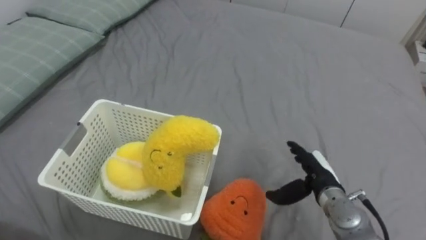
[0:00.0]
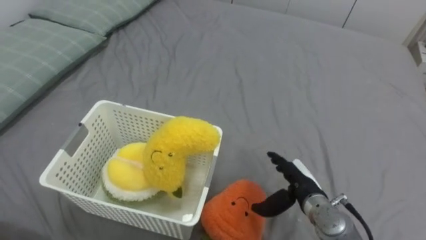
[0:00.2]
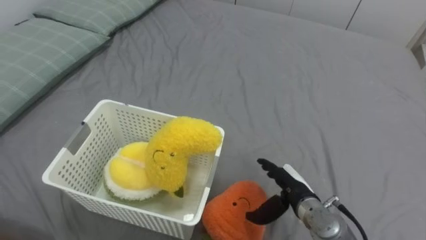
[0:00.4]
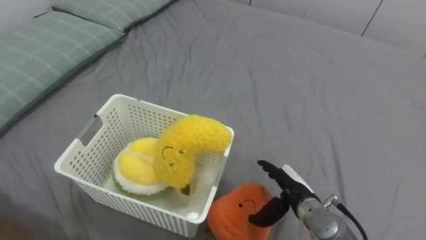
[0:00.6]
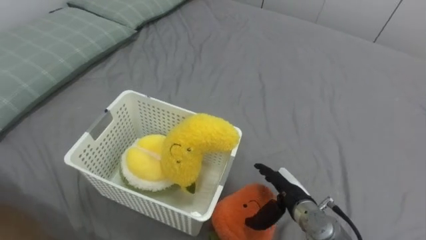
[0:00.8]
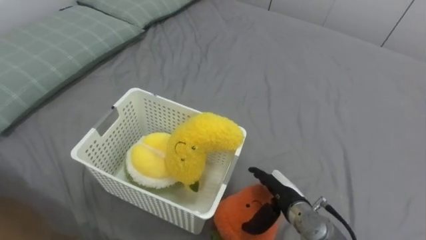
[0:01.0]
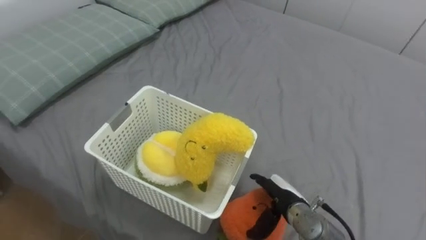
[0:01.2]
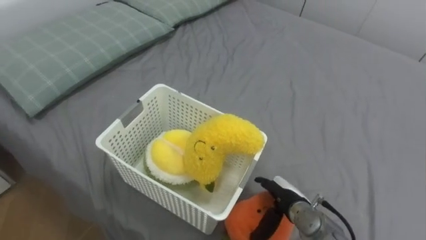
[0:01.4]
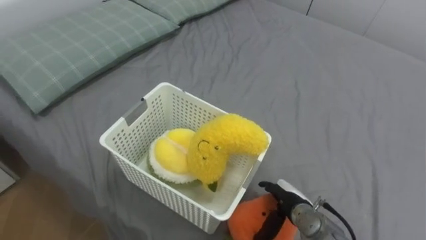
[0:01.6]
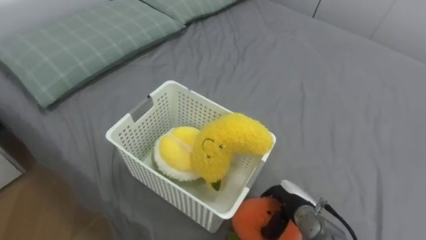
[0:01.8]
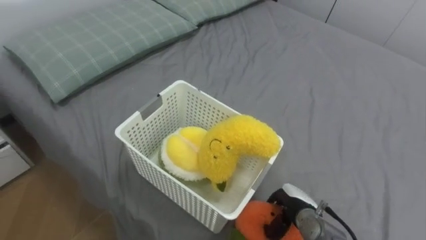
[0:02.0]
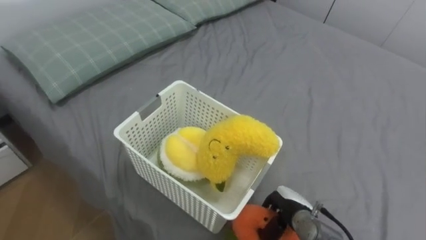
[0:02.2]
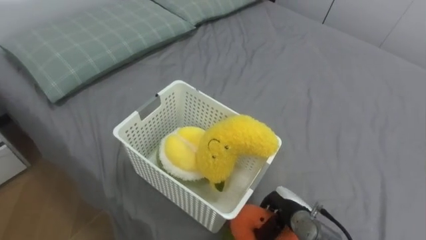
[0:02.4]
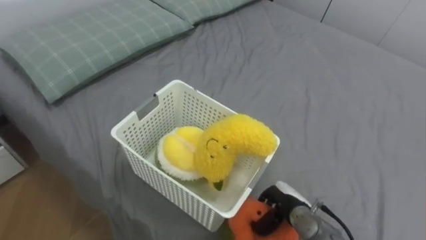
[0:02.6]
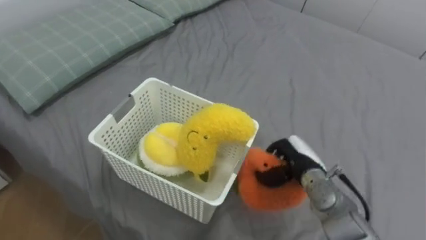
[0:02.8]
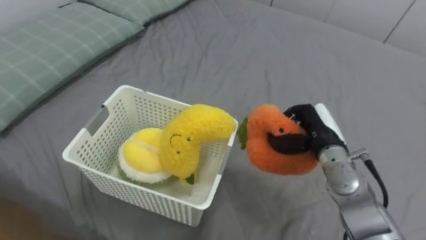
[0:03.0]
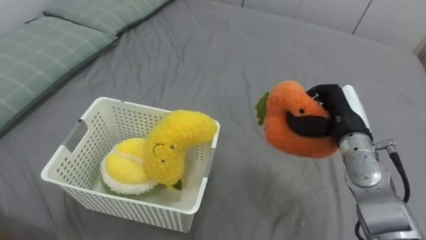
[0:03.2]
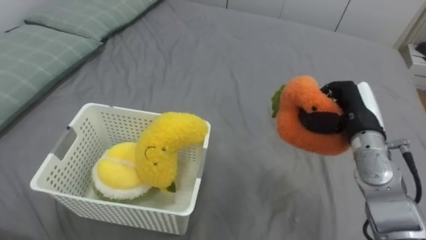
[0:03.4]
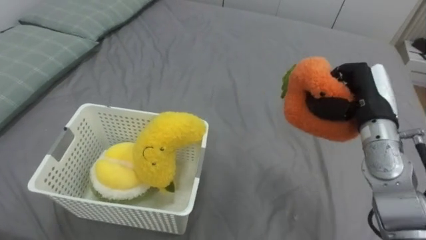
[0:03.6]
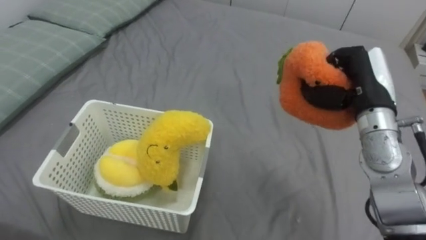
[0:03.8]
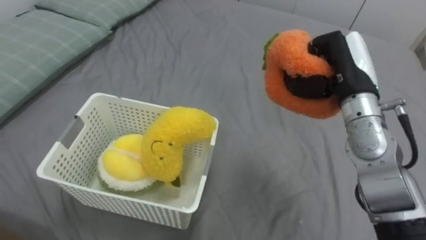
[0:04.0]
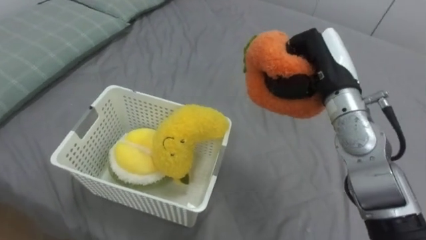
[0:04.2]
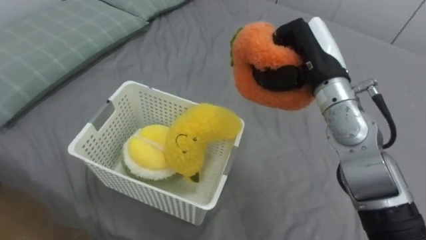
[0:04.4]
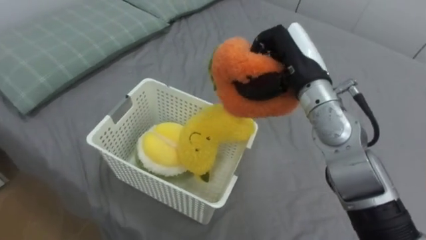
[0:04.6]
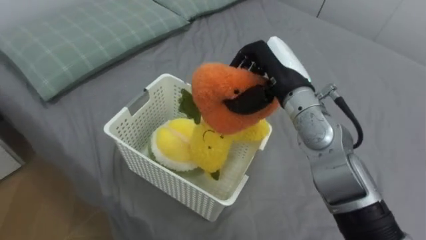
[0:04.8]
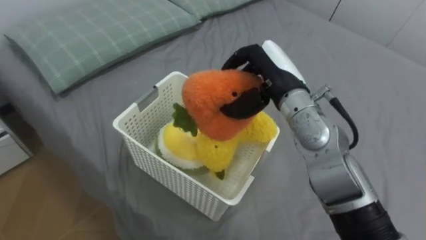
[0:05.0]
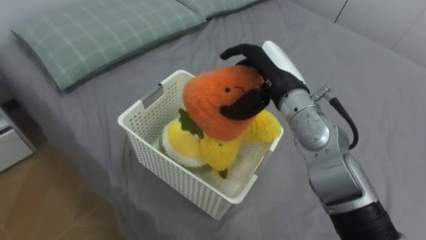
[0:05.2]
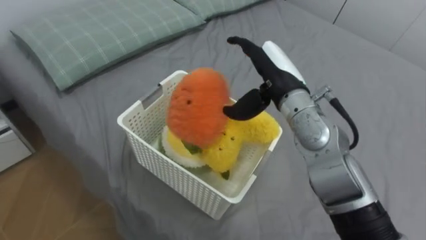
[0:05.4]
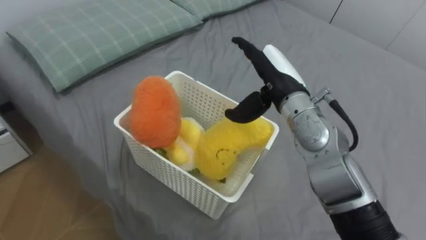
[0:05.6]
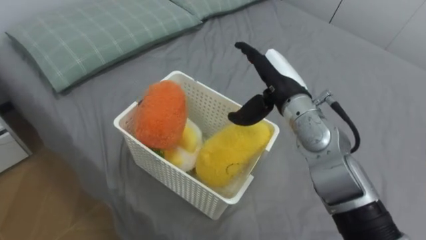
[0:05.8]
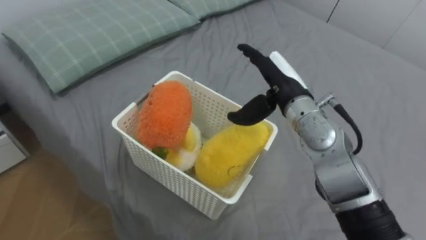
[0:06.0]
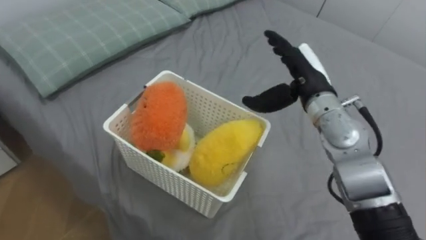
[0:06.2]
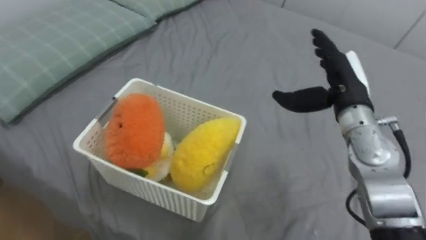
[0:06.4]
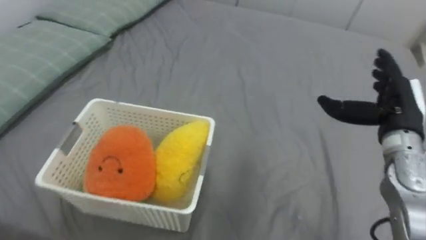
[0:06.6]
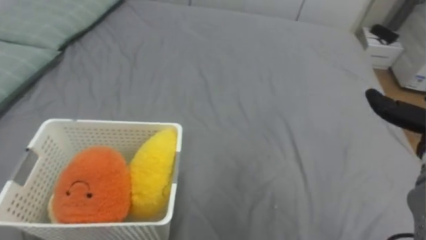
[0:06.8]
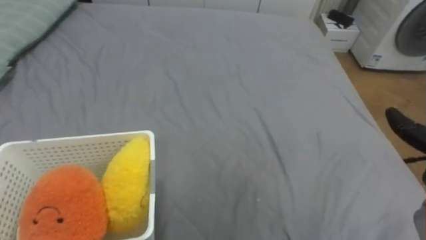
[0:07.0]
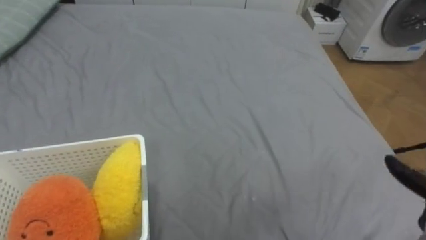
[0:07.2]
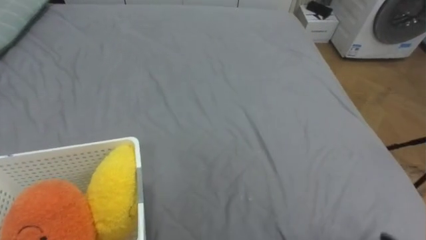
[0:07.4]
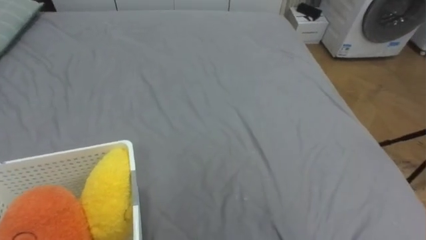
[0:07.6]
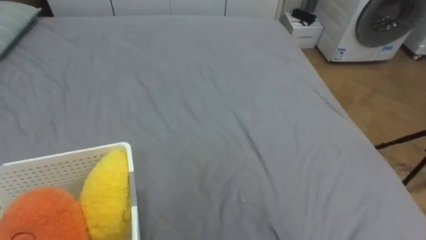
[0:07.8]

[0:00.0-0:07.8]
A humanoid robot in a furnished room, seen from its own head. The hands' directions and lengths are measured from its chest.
Task of the whole recording: Put the toys on the bed into the basket on the left.
0:00.0 to 0:01.6: The right hand heads downward and to the left, covering roughly 10 cm.
0:01.6 to 0:03.2: The right hand is displaced upward, forward and to the right by some 20 cm, and closes its fingers.
0:03.2 to 0:04.6: The right hand heads upward and to the left, covering some 15 cm.
0:04.6 to 0:06.2: The right hand opens up.

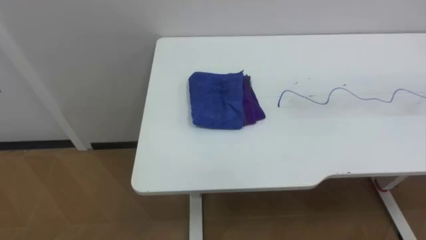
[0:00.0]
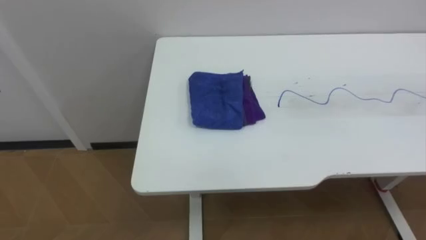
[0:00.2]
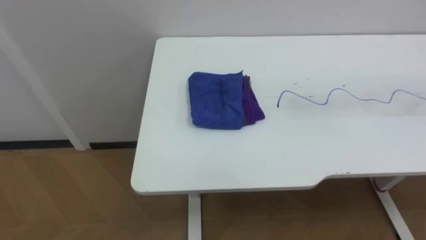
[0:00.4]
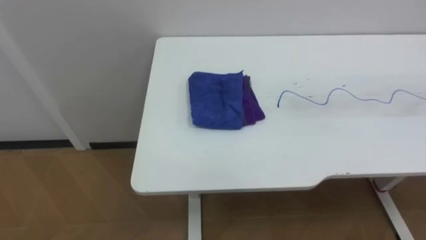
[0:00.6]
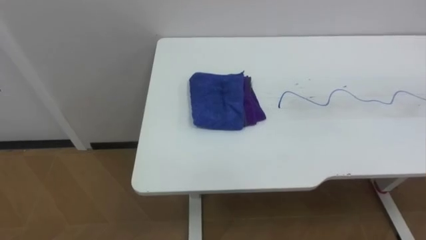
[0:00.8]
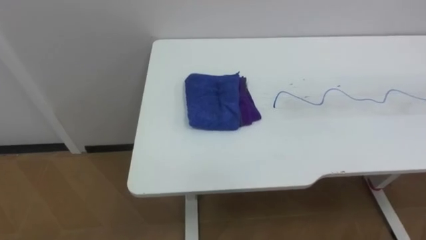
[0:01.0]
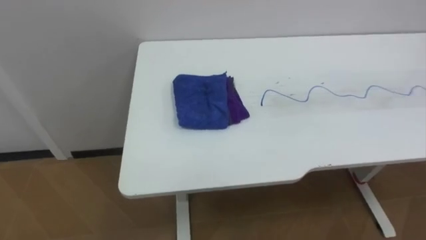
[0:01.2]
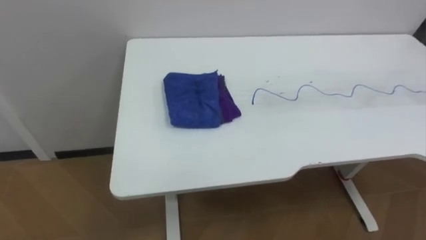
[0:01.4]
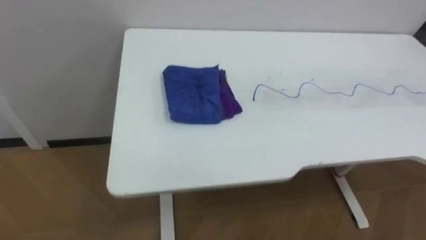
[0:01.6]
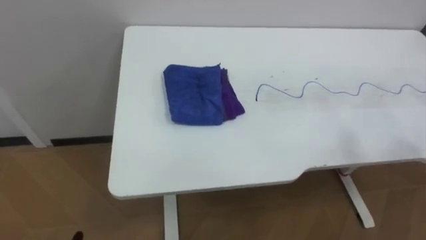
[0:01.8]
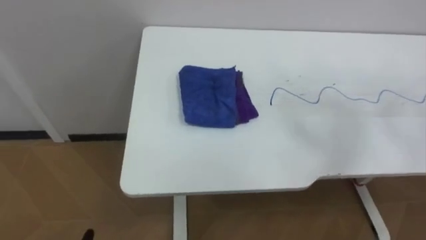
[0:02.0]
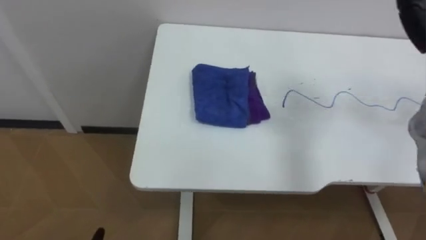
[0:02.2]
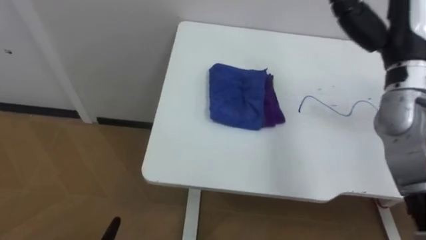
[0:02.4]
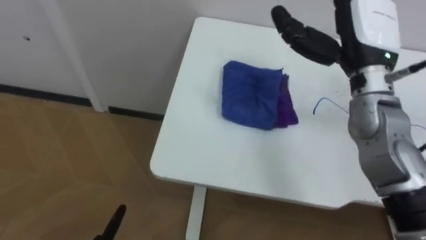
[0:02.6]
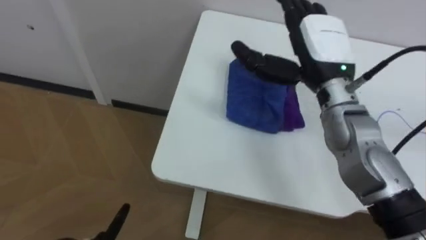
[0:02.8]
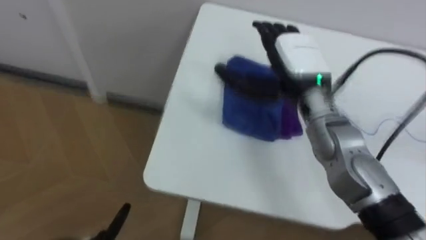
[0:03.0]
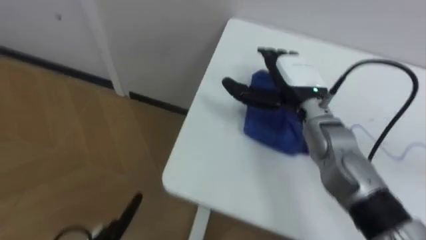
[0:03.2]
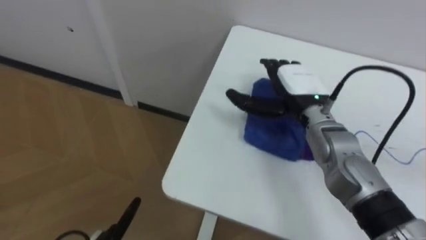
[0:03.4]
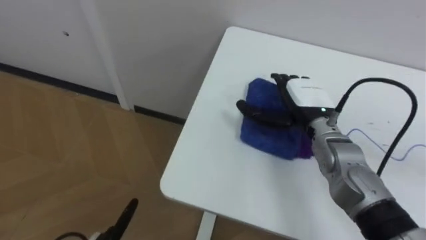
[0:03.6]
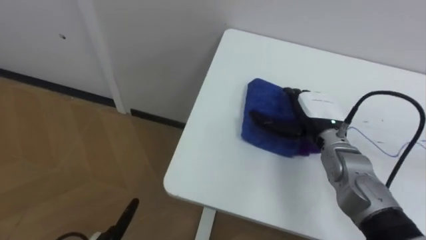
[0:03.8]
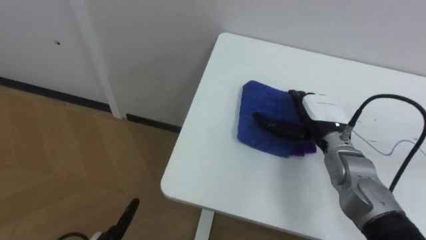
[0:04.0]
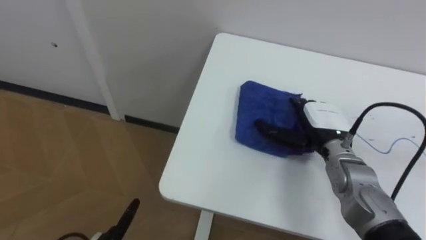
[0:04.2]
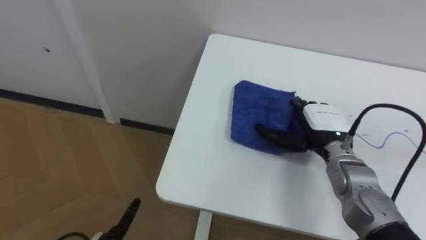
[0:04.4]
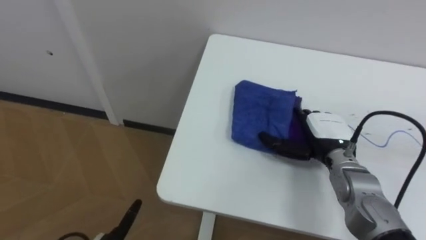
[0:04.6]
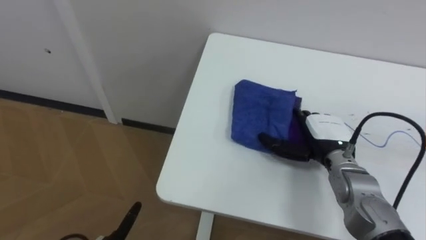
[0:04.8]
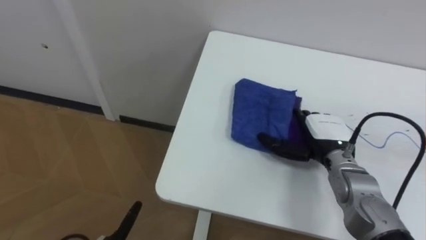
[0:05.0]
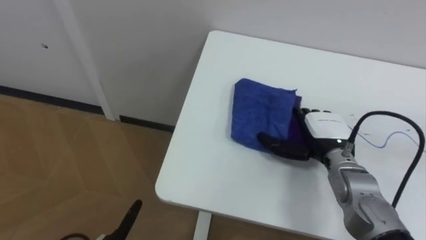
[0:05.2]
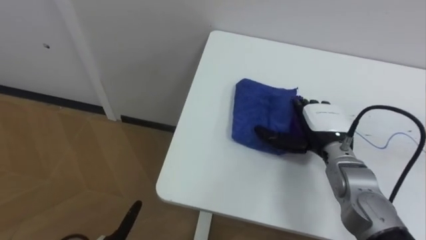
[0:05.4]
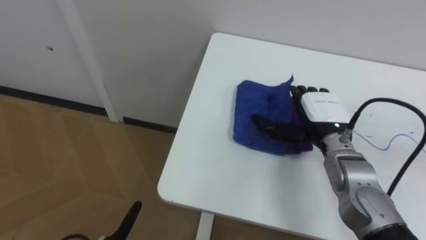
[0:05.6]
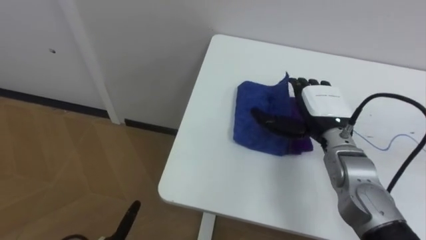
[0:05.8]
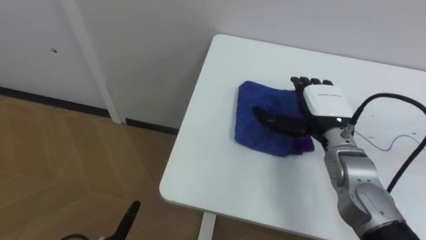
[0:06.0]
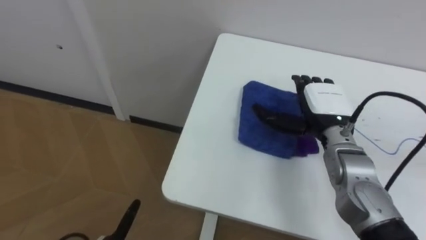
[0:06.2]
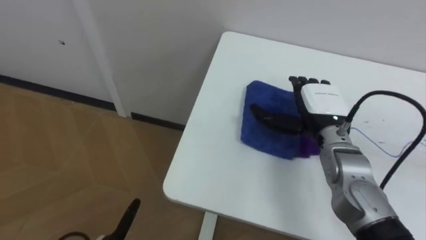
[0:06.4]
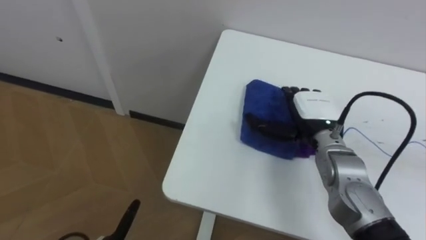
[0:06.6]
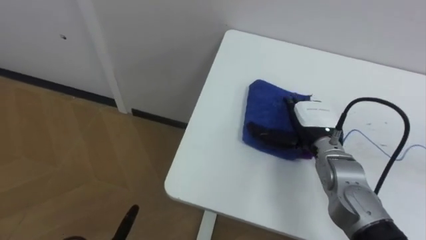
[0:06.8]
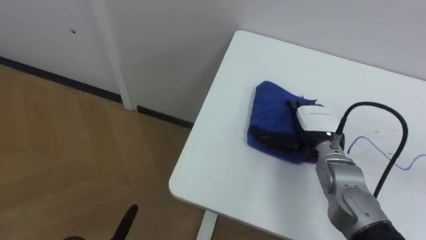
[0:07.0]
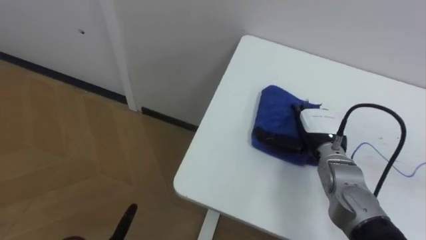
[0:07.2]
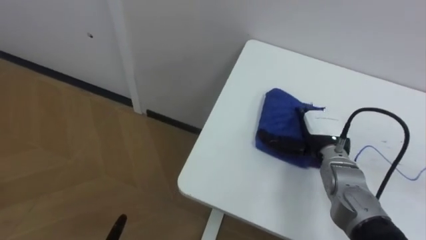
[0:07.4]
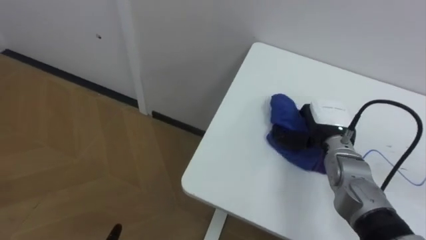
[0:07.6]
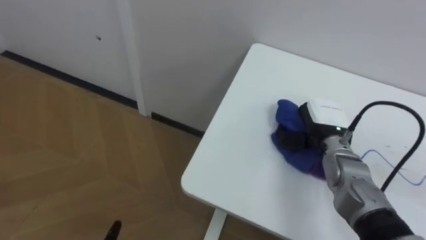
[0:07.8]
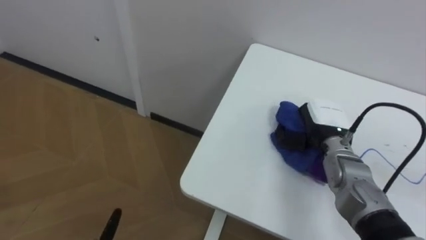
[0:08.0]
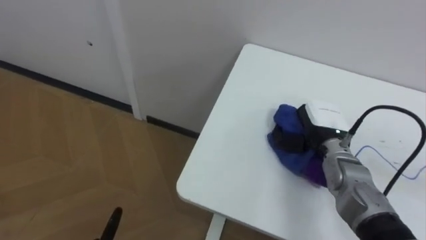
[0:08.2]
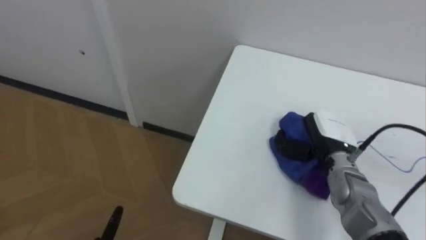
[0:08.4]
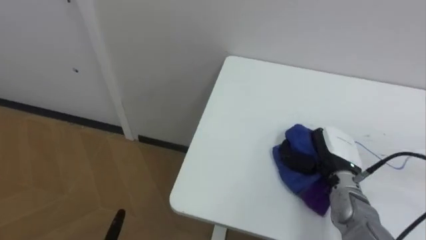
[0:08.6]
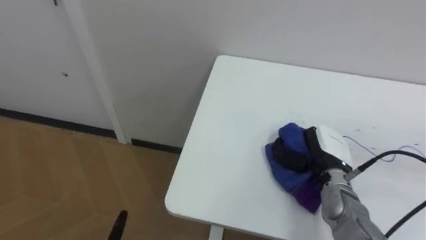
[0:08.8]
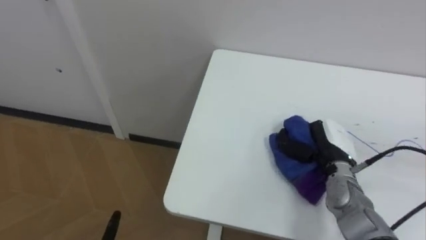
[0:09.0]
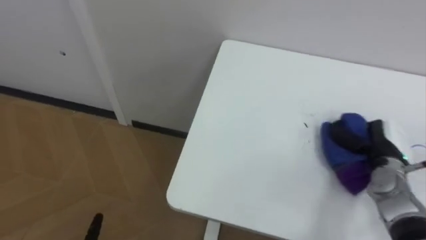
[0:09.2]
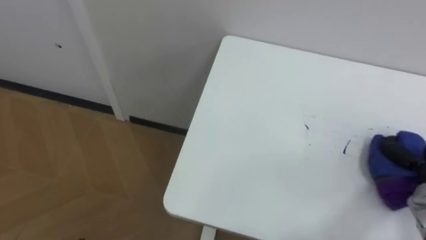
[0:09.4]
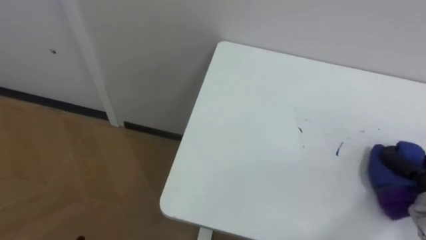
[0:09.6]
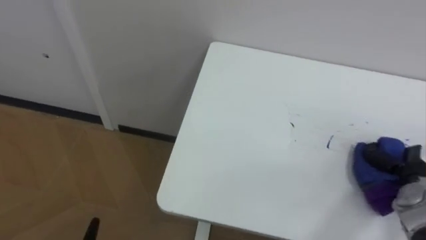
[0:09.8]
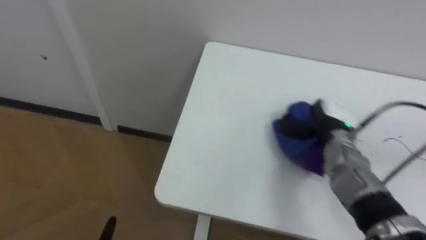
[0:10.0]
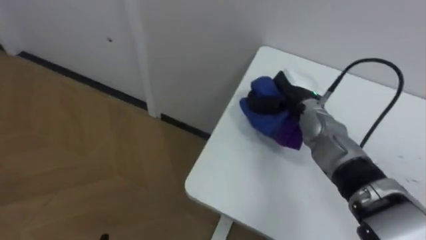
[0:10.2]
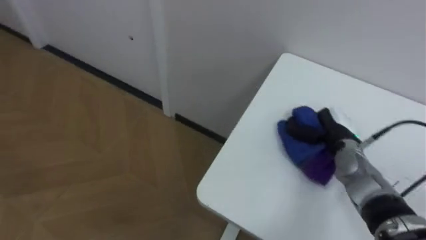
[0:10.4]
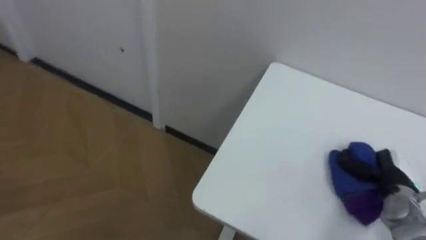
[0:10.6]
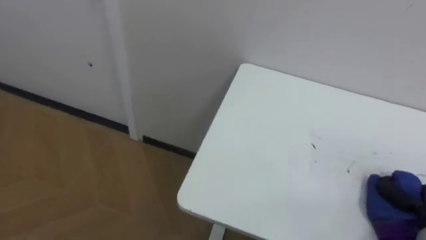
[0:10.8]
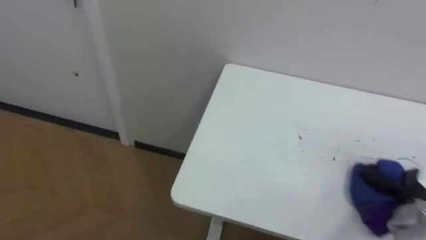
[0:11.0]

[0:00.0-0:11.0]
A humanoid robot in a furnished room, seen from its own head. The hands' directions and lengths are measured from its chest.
Task of the whole recording: Wipe the blue pen marks off the table with the rag.
0:03.2 to 0:04.8: The right hand moves downward, to the right and backward, roughly 15 cm.
0:04.8 to 0:06.2: The right hand moves upward, about 5 cm.
0:06.2 to 0:07.8: The right hand moves downward, roughly 5 cm, and closes.
